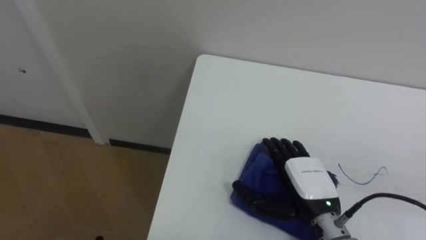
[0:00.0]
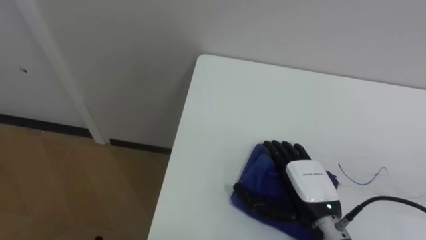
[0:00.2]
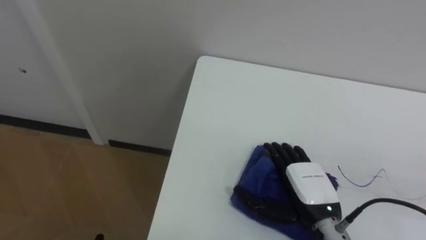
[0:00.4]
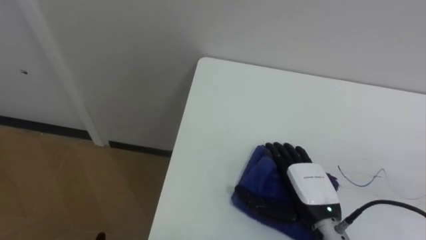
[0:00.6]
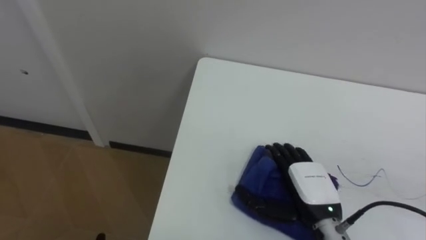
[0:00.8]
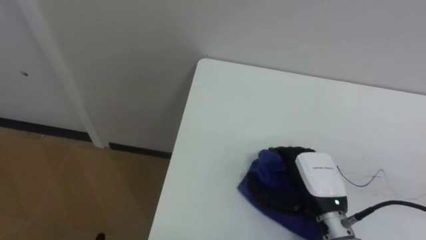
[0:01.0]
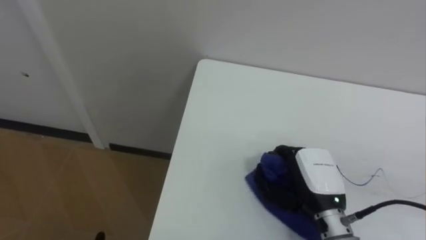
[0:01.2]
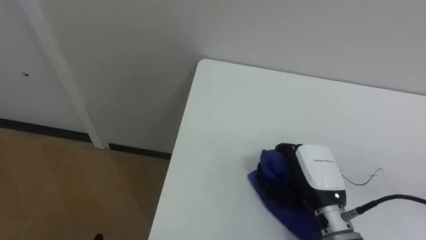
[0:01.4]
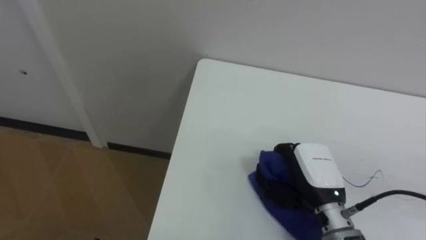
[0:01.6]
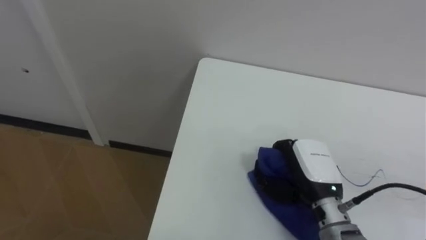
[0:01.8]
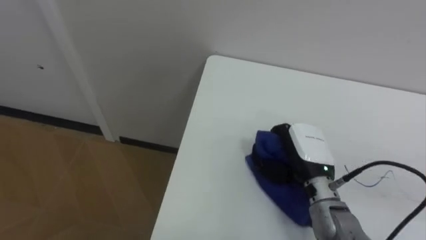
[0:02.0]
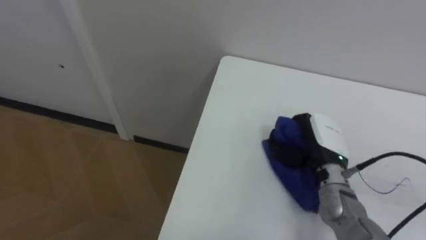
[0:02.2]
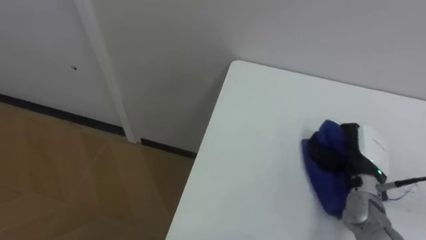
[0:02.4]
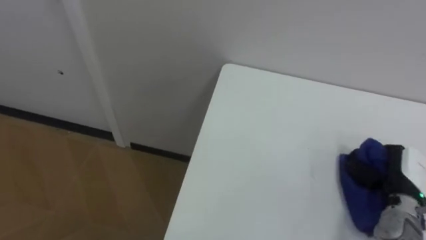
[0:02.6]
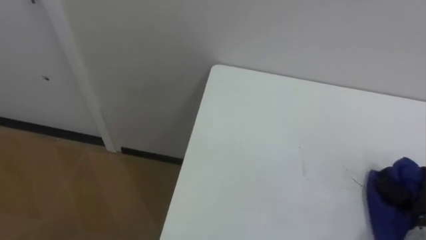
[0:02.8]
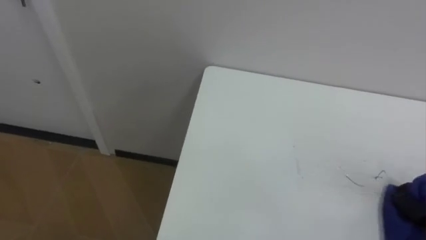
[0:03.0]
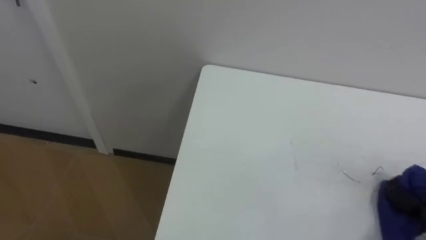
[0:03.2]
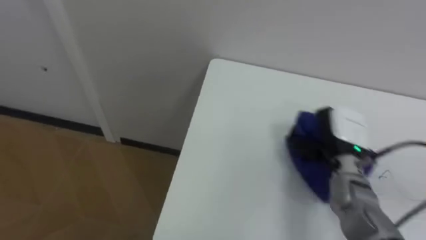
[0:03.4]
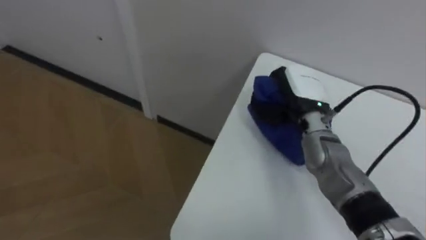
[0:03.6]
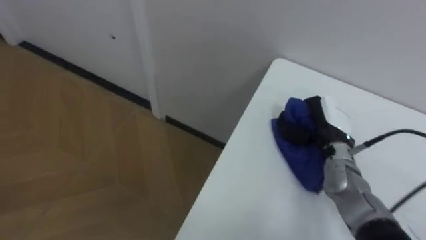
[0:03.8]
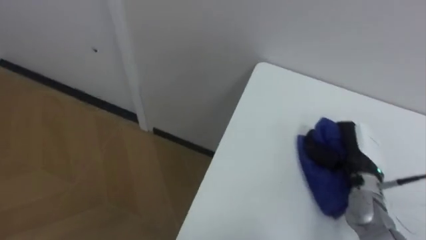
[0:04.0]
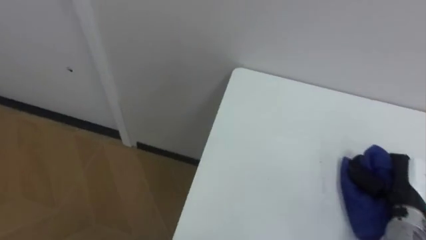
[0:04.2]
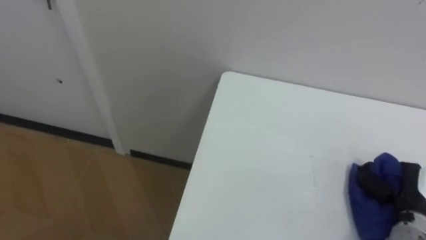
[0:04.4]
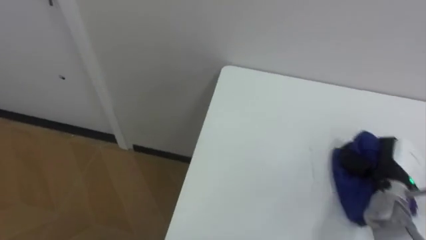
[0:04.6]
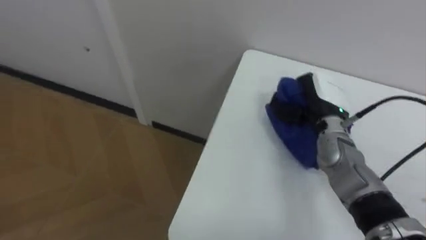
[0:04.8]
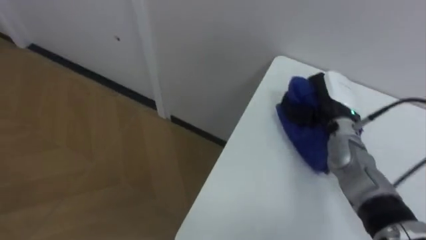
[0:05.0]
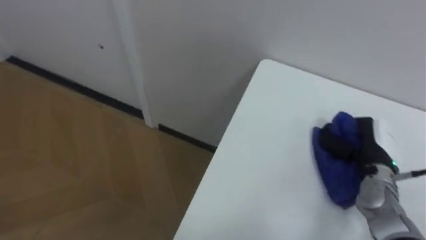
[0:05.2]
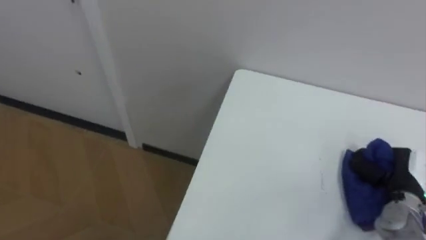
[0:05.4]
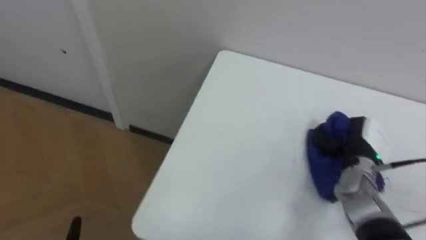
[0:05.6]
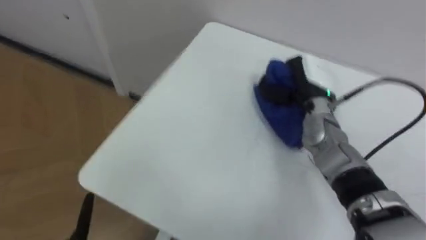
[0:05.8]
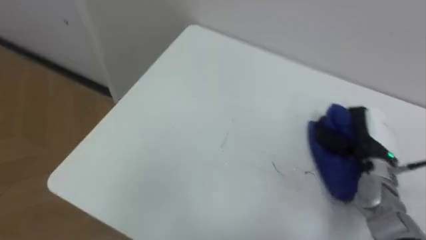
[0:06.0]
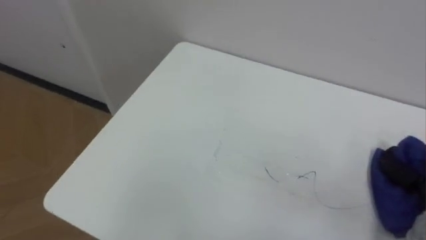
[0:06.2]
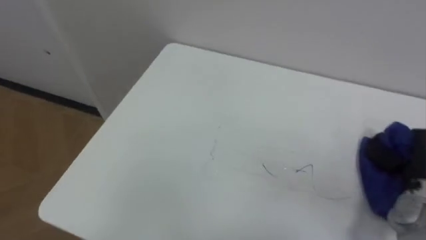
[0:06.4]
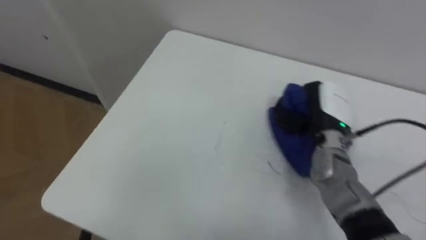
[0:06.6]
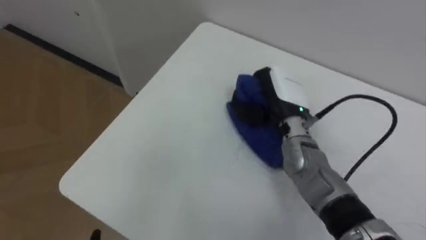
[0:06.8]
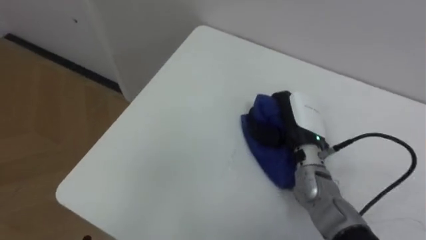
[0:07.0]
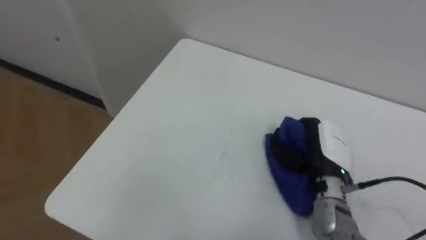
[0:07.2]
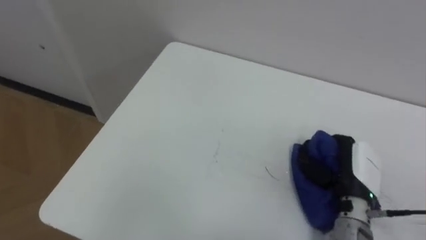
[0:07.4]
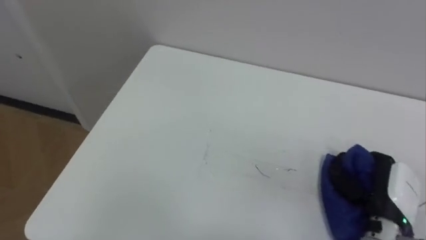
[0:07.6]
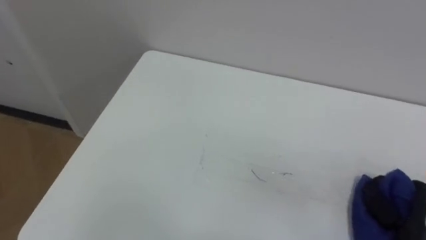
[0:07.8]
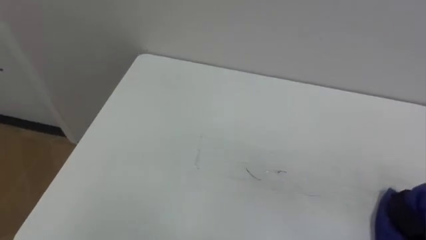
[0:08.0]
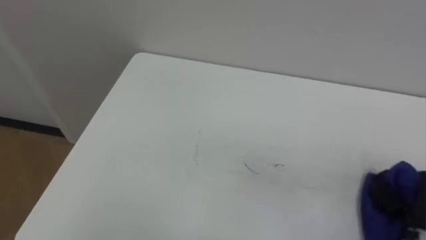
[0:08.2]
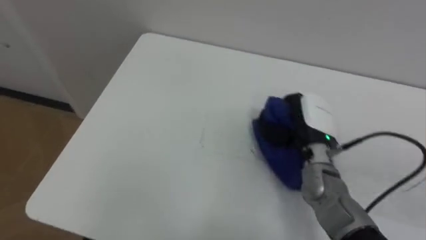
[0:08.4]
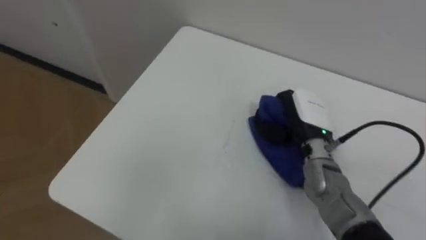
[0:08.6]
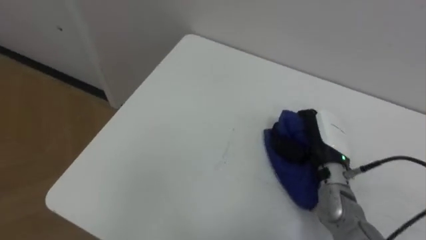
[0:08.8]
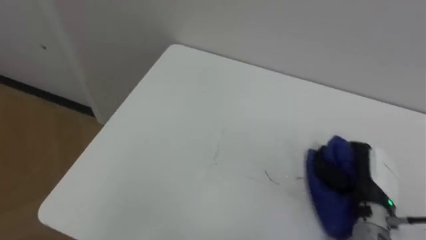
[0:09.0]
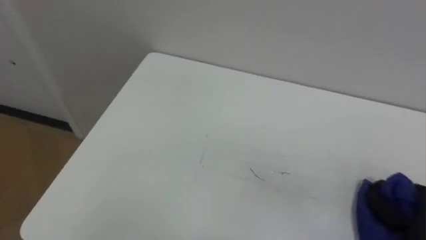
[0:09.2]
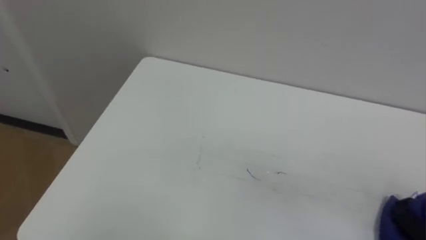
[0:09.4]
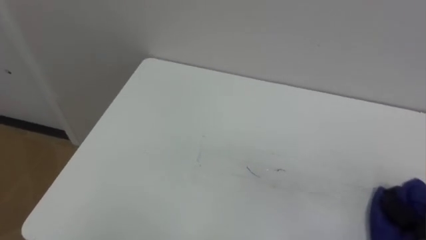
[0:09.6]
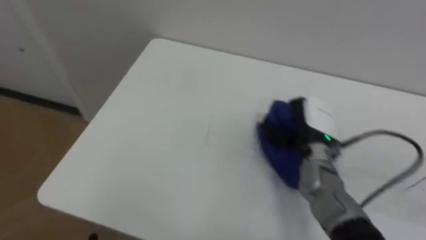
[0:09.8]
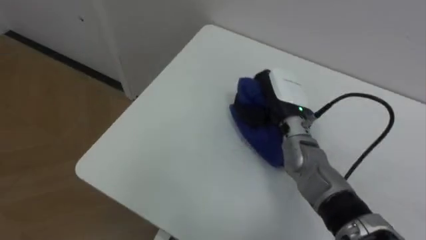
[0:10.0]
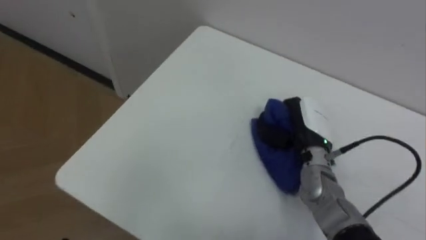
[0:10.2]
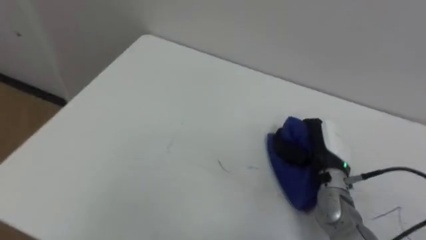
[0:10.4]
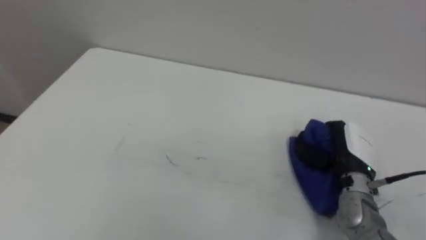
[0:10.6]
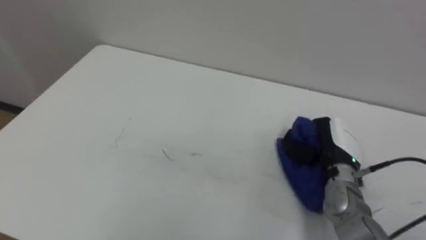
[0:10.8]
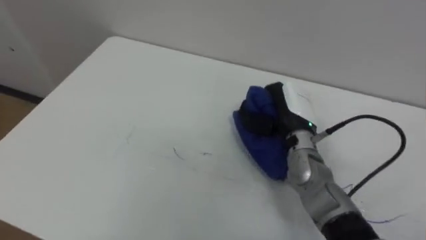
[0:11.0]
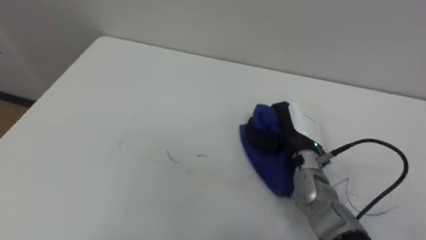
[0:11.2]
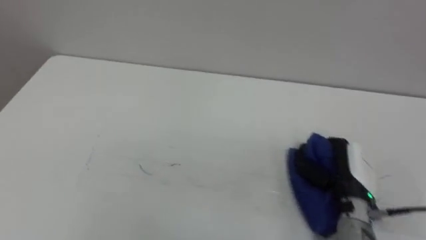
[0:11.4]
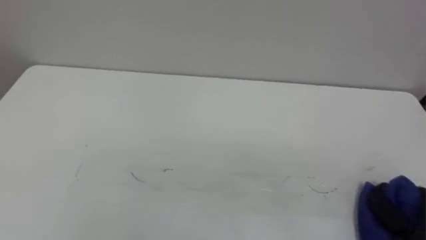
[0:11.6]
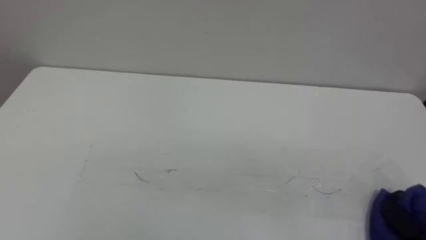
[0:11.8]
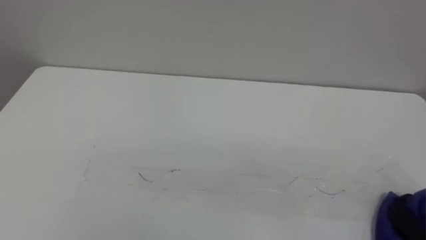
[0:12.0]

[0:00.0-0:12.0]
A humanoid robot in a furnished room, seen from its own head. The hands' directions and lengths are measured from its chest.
Task of the whole recording: Wipe the blue pen marks off the table with the rag.
0:00.0 to 0:01.6: The right hand closes up.
0:04.4 to 0:06.0: The right hand swings left and right, about 20 cm each way, with 3 reversals.

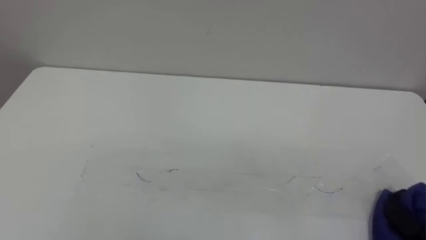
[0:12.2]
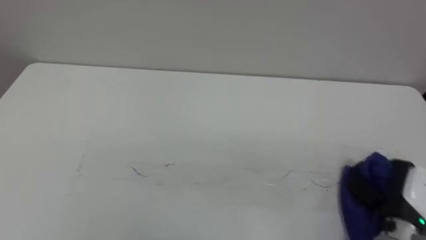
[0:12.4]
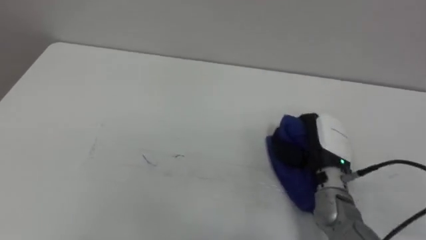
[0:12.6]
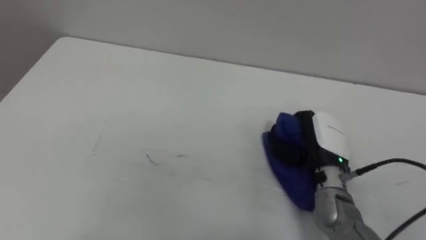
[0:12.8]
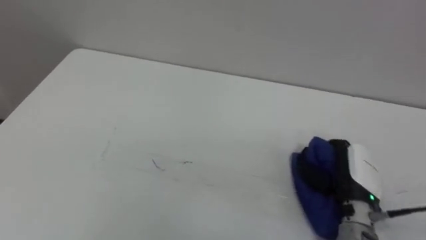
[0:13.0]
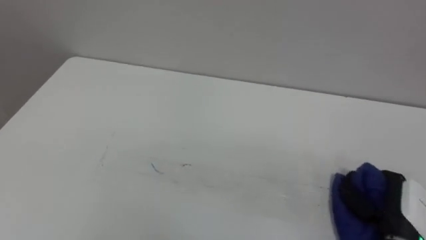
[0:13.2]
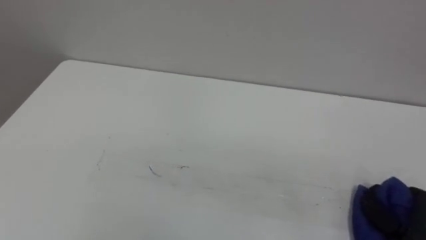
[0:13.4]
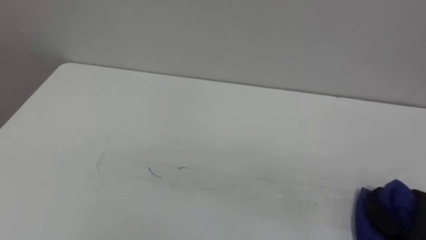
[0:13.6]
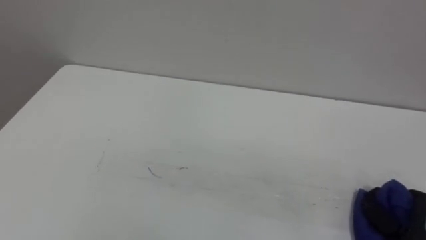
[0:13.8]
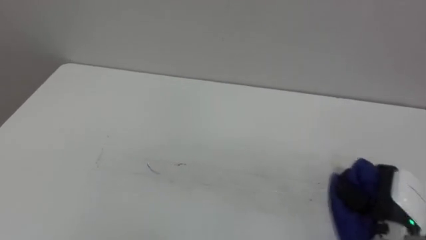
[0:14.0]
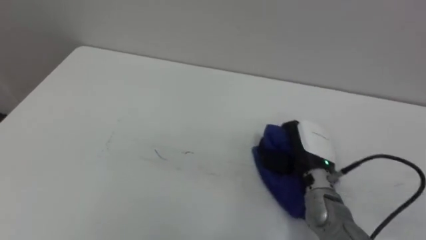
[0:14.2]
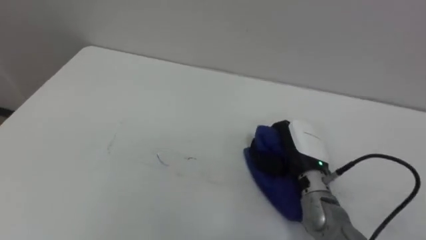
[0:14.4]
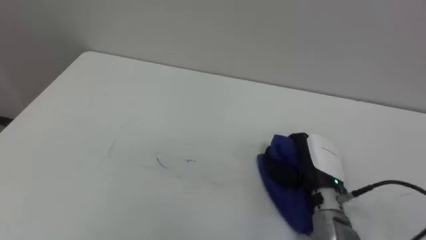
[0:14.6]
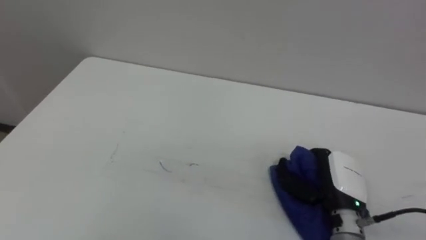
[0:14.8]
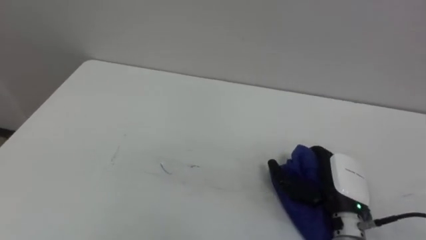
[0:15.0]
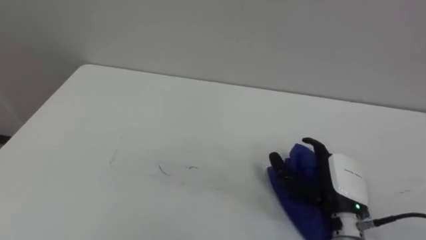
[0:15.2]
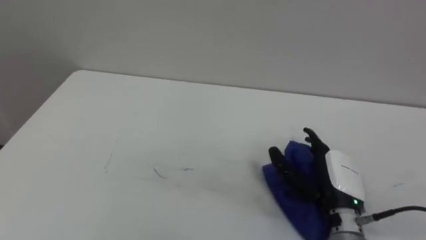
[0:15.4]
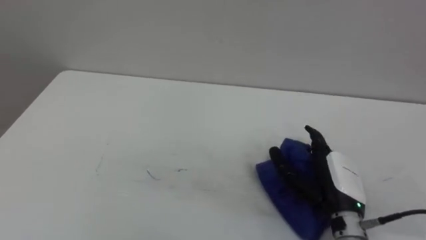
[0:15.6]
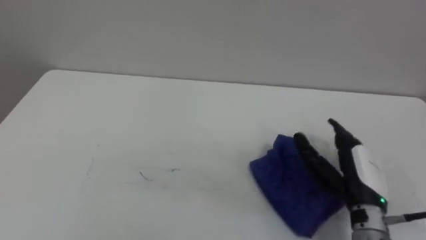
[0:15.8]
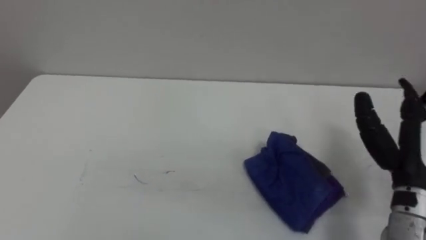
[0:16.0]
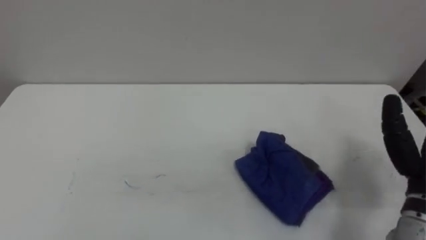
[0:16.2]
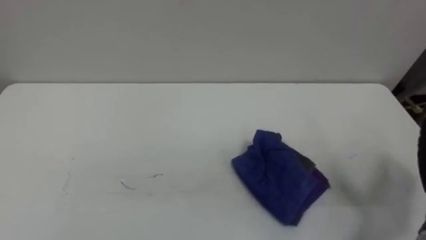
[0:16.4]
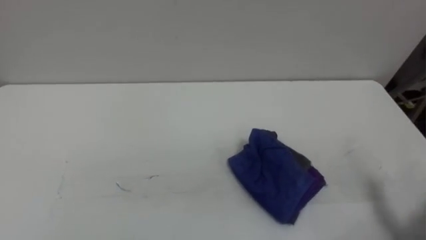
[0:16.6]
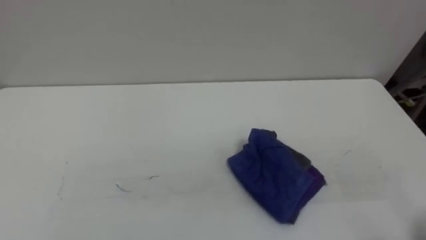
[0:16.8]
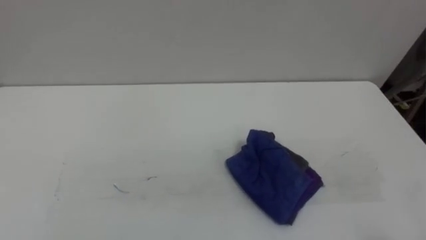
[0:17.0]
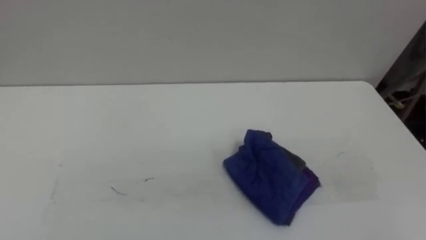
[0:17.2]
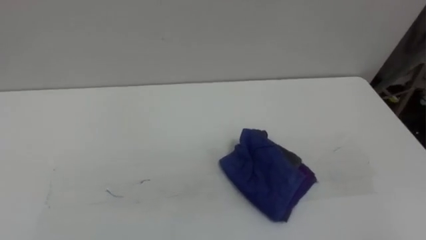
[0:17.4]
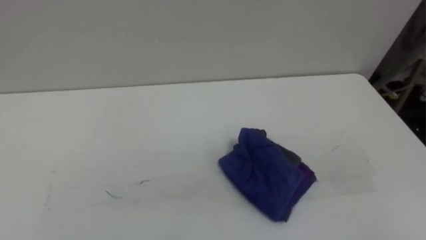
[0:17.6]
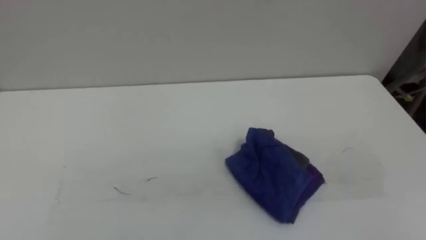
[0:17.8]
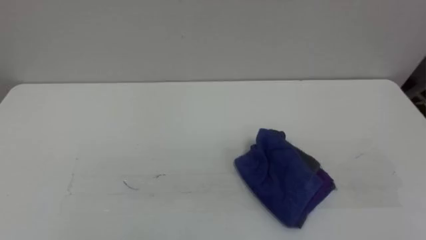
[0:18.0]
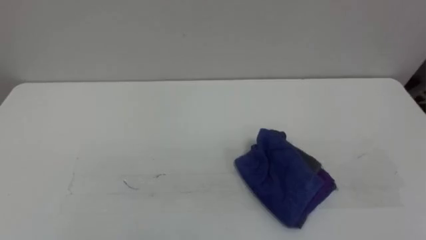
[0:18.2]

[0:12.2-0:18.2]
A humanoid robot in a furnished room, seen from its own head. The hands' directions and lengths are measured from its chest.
Task of the whole recording: Wipe the blue pen marks off the table with the rag.
0:13.8 to 0:15.2: The right hand moves to the left and forward, some 15 cm, and opens up.
